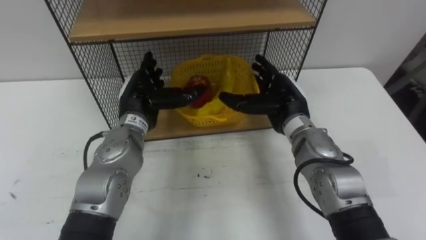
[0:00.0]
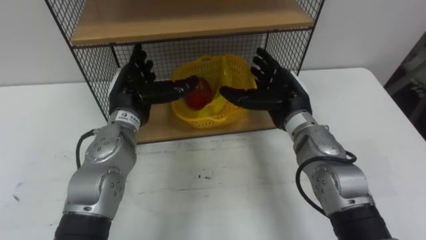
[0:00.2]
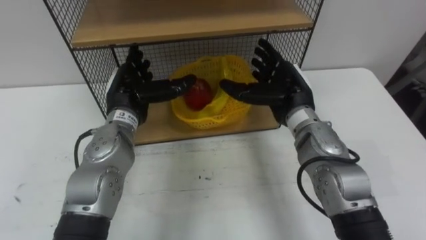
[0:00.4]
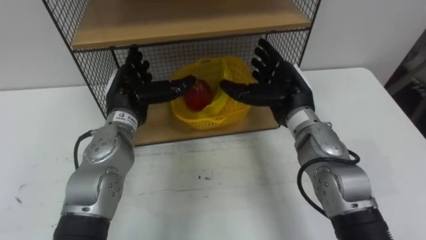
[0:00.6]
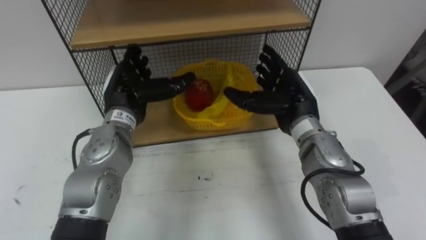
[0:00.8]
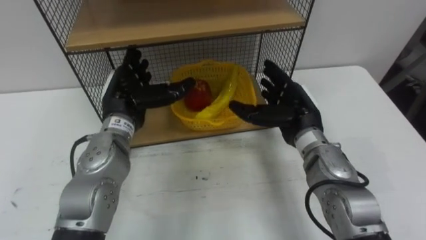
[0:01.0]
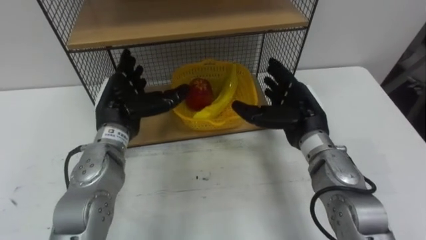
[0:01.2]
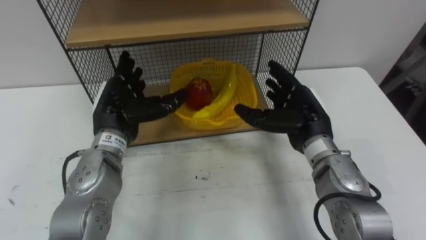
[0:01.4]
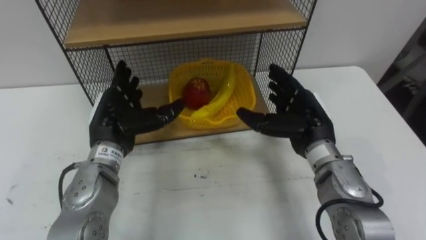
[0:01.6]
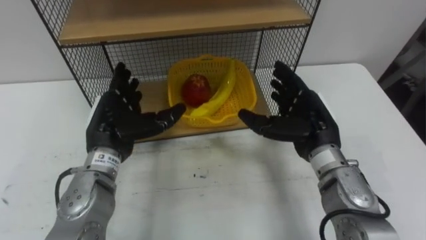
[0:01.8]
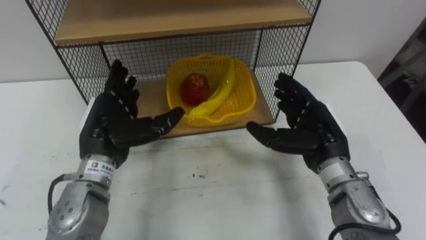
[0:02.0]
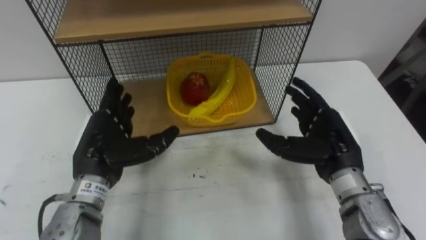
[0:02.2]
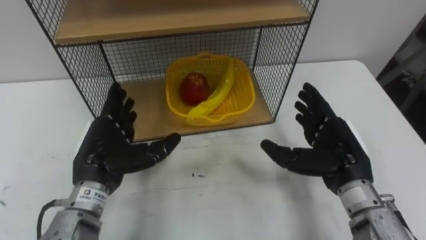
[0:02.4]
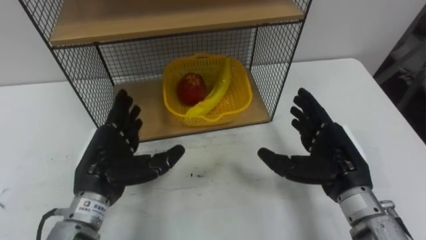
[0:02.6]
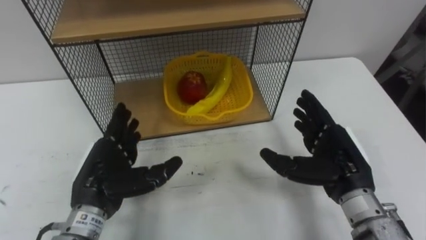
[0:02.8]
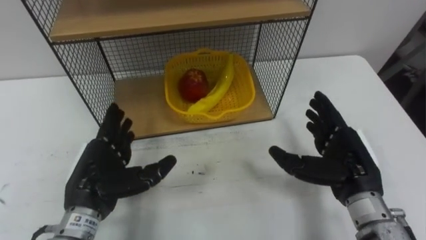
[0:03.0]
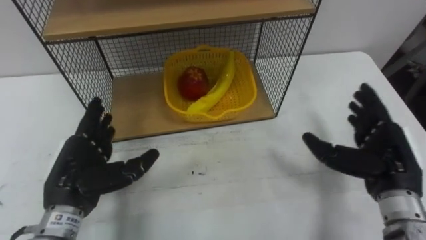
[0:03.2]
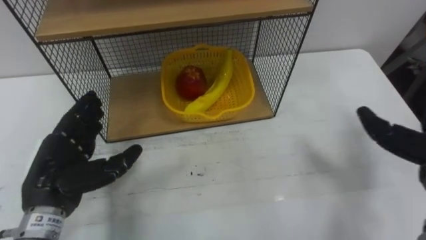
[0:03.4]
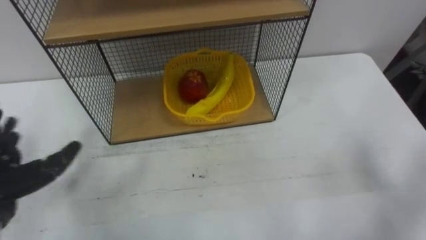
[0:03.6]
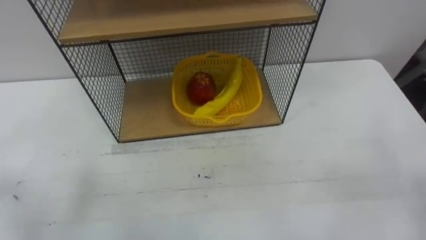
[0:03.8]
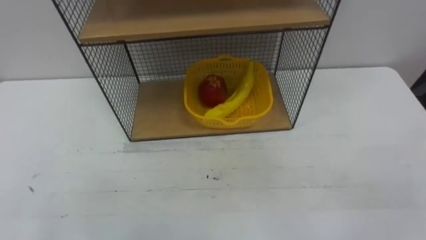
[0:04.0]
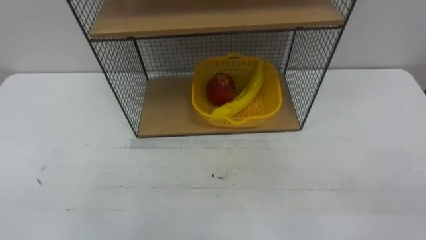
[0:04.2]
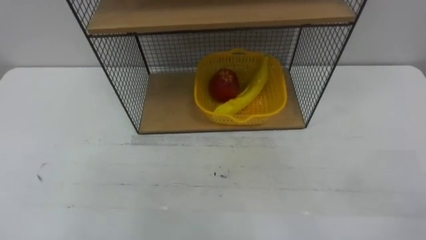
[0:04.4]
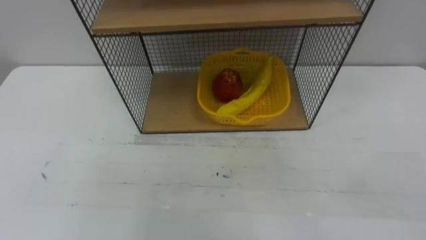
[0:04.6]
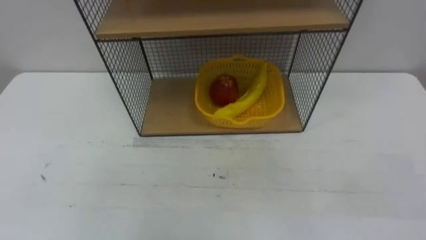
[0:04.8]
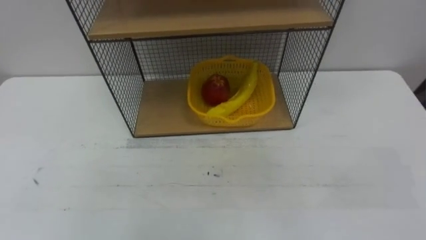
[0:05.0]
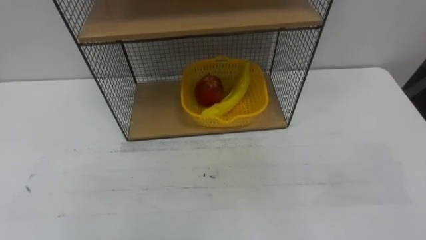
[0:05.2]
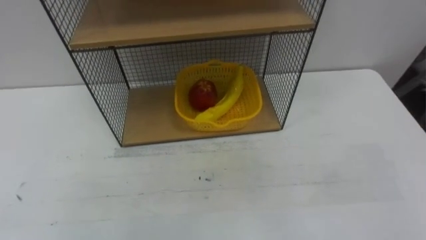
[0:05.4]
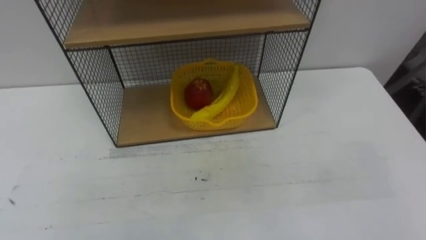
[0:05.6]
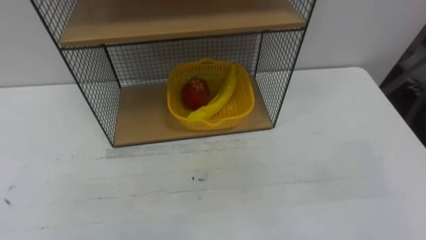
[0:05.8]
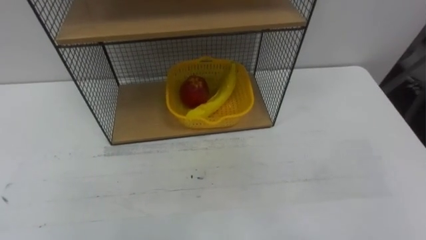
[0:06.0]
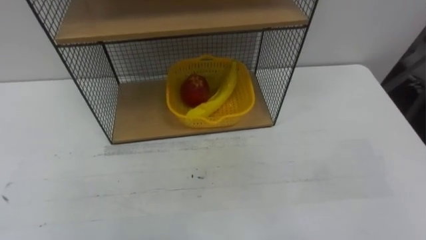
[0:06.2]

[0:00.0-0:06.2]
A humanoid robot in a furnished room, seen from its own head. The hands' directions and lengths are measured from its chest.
Task of the whole recording: Put the fruit on the table into the basket, then place the basket on the shelf.
0:00.0 to 0:01.6: The right hand ends up roughly 5 cm from where it was. Meanwhile the left hand ends up roughly 5 cm from where it was.
0:01.6 to 0:03.2: The right hand shifts approximately 15 cm to the right and backward. Meanwhile the left hand goes roughly 10 cm backward.

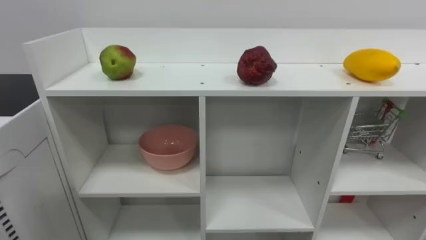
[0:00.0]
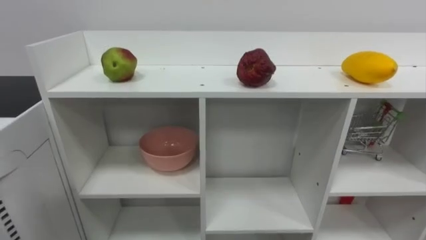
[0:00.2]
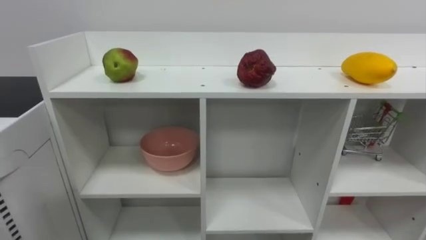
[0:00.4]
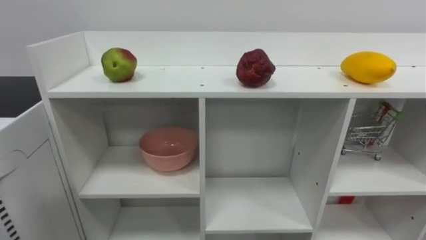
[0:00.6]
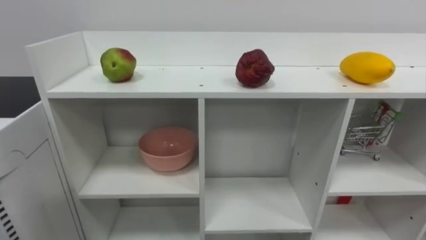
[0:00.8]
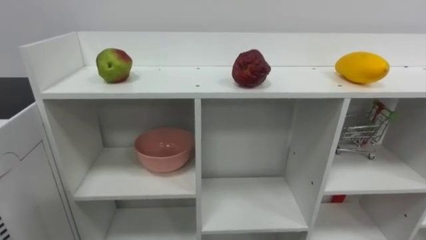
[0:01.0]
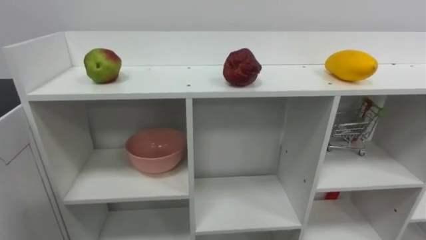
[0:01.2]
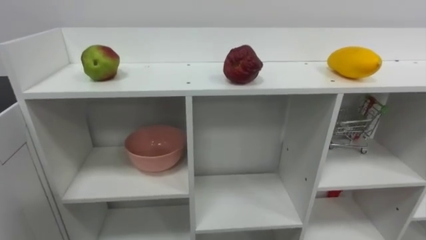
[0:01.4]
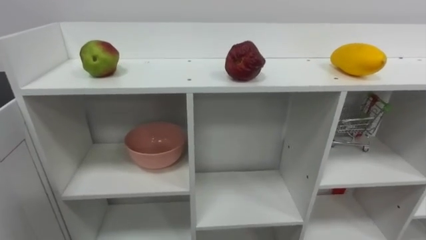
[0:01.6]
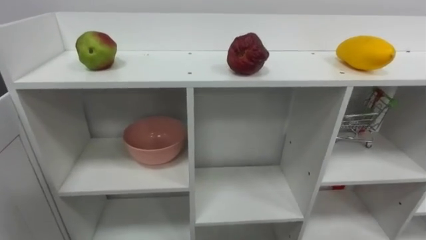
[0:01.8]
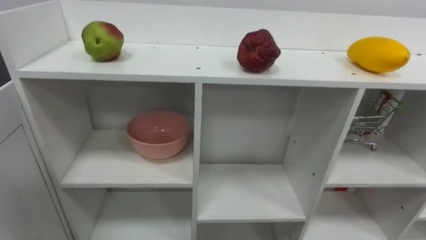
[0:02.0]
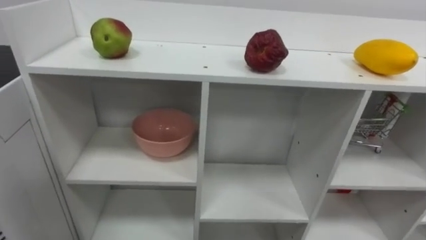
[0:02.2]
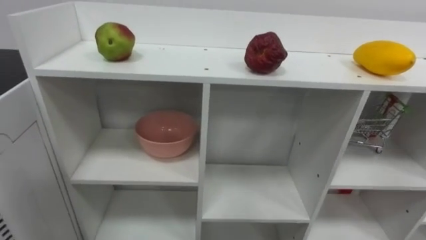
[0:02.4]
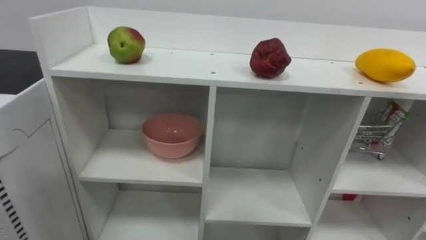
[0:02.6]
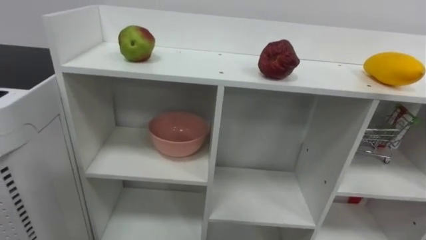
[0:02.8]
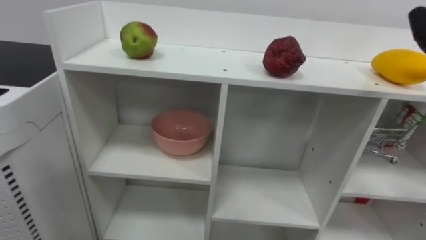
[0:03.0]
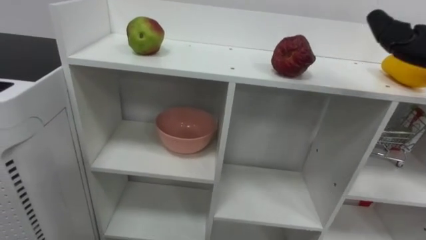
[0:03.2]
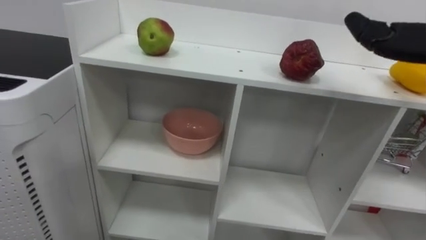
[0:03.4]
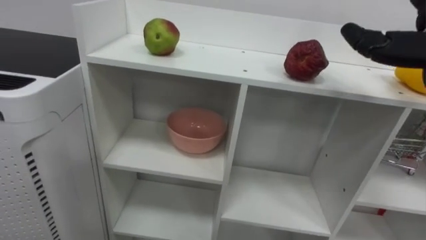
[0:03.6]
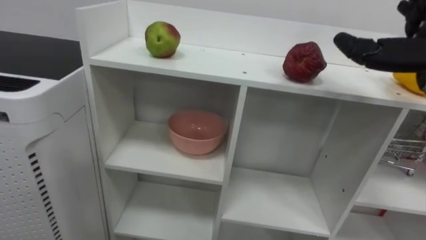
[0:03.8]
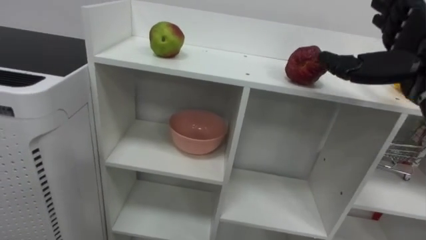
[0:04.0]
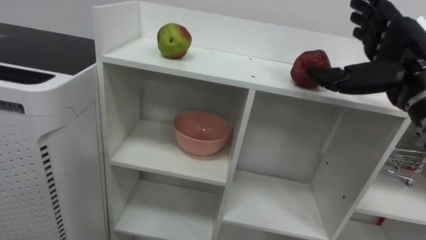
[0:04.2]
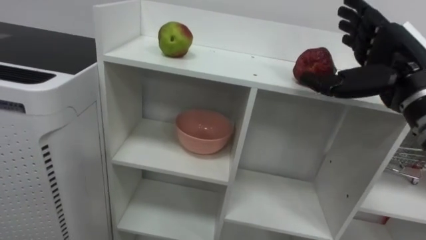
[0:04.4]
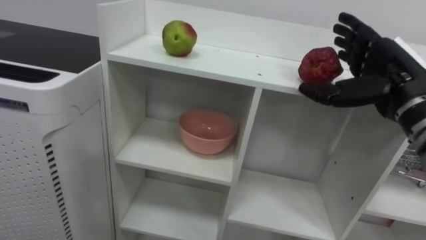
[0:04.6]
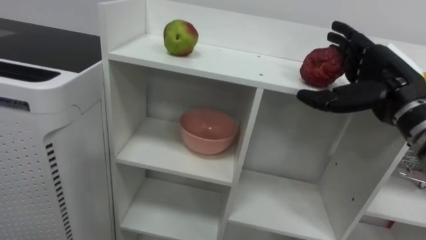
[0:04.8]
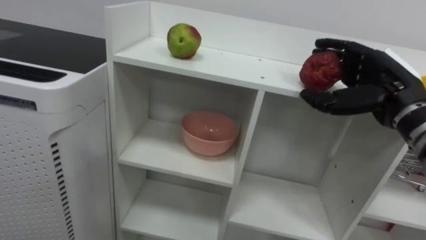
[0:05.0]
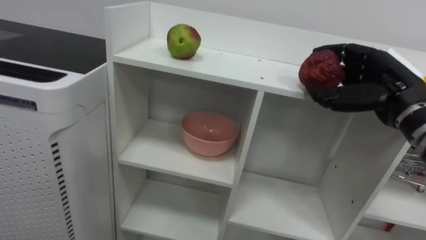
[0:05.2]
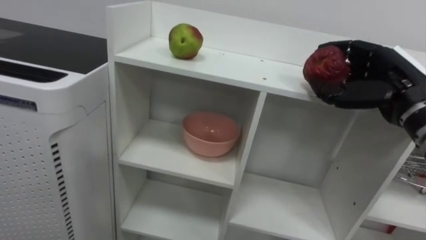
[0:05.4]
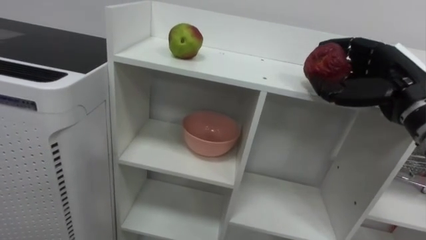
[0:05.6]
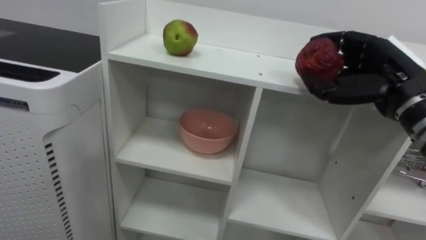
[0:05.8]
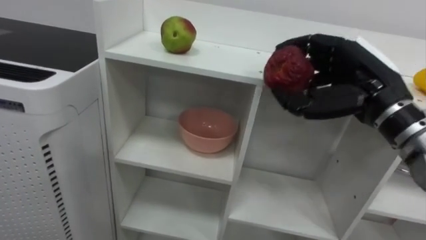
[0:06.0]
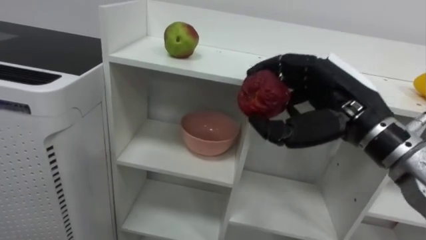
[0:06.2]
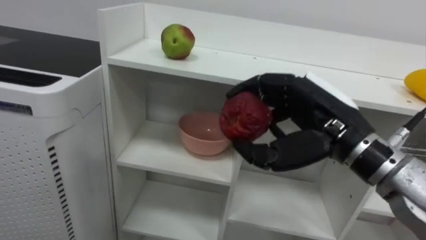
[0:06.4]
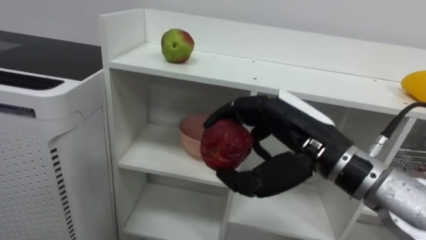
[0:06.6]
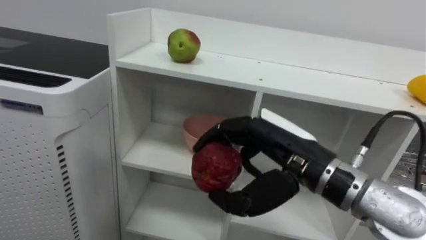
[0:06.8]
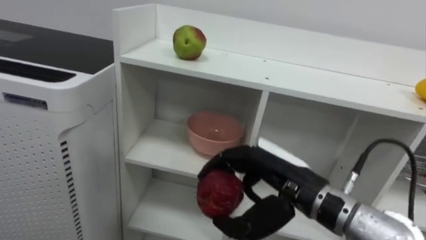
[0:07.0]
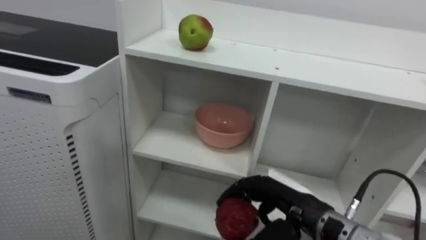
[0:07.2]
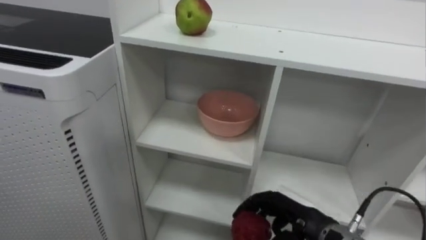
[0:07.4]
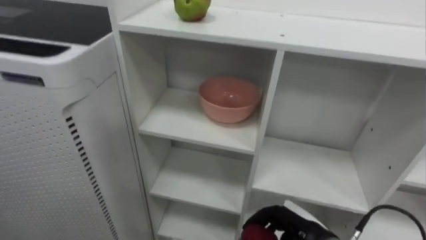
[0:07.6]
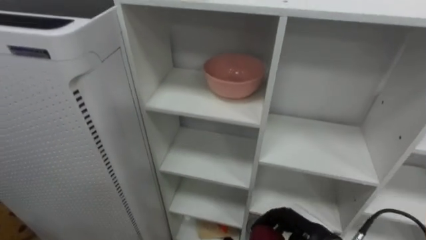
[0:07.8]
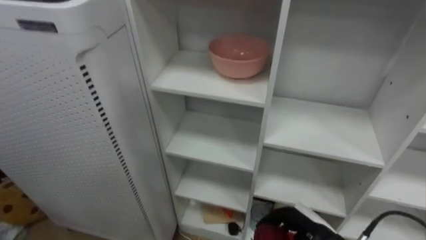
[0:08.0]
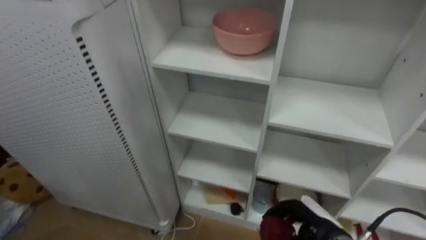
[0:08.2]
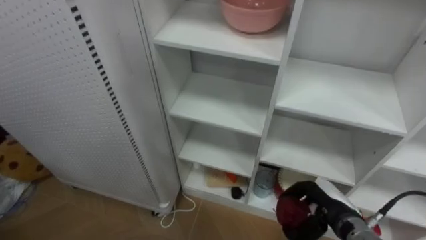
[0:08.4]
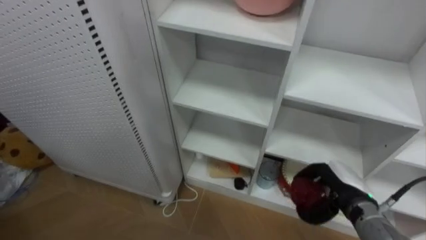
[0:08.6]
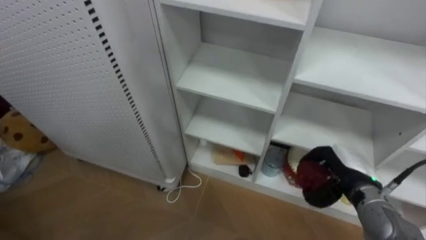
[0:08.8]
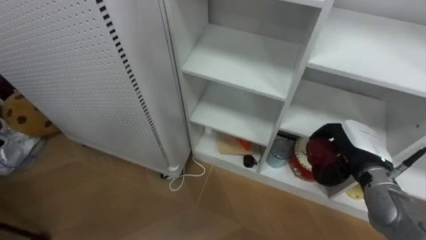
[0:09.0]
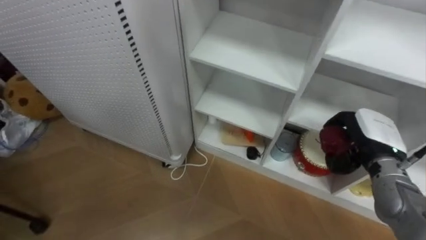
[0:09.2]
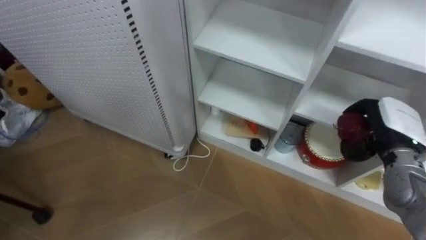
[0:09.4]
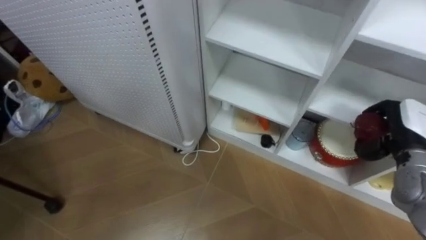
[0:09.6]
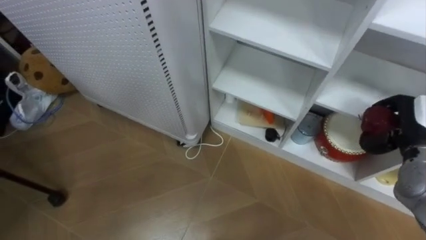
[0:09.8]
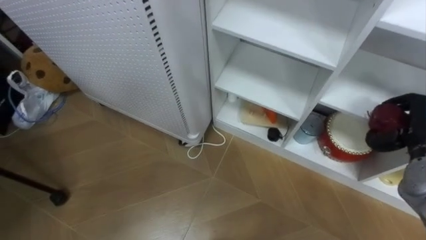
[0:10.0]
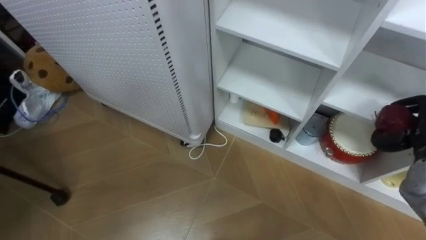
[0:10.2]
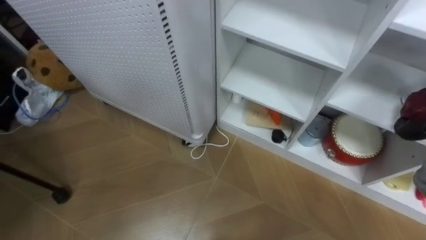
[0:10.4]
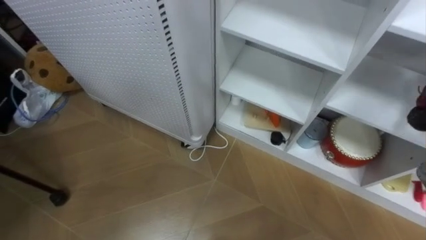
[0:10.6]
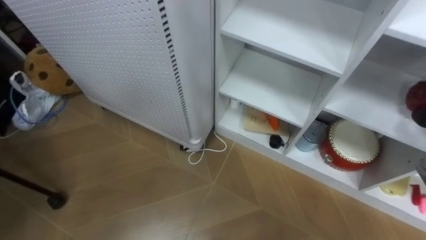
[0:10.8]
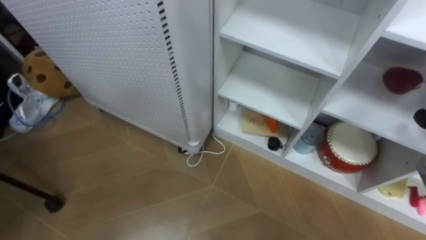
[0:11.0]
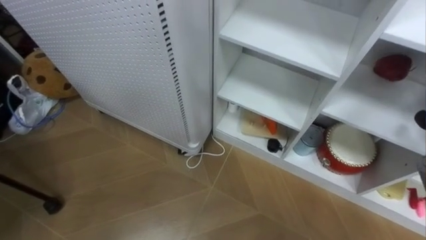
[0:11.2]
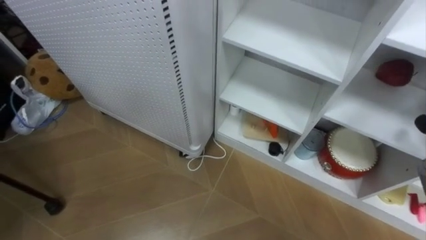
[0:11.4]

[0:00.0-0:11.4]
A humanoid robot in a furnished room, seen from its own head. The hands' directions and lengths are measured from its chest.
Task of the whole recording: Put the apple in the cell in the second column from the left and the second row from the top.
0:04.2 to 0:05.6: The right hand closes.
0:05.6 to 0:07.2: The right hand shifts approximately 25 cm downward, to the left and backward.
0:07.2 to 0:08.6: The right hand travels to the right, forward and downward by approximately 15 cm.
0:08.6 to 0:10.0: The right hand heads upward and to the right, covering about 15 cm.
